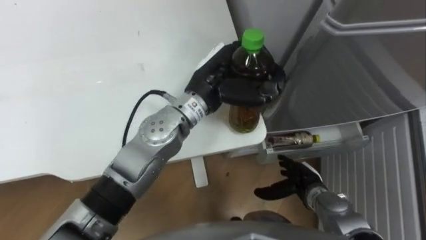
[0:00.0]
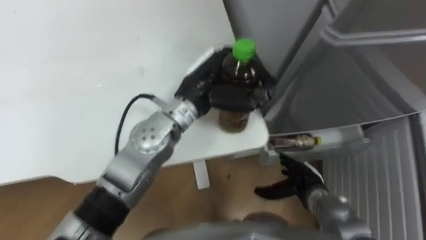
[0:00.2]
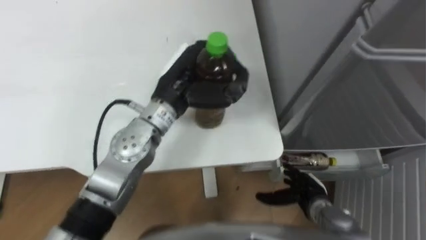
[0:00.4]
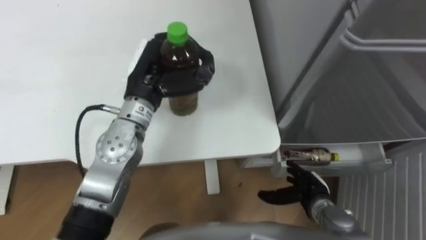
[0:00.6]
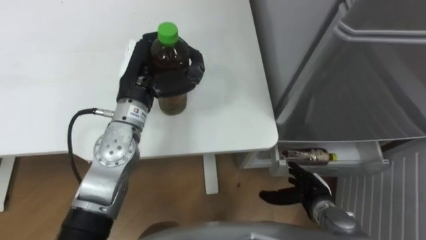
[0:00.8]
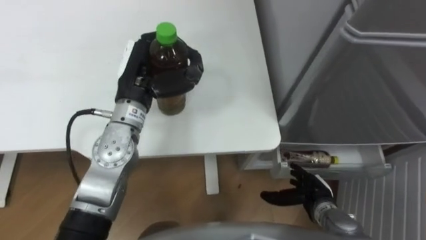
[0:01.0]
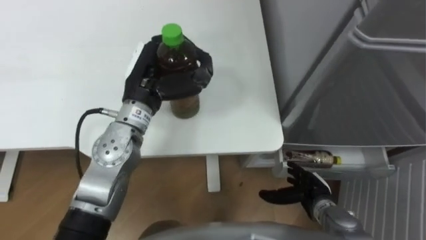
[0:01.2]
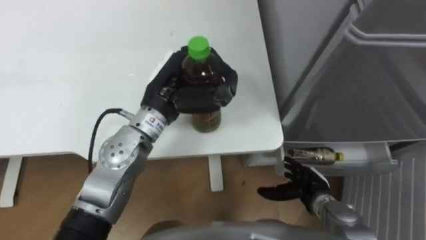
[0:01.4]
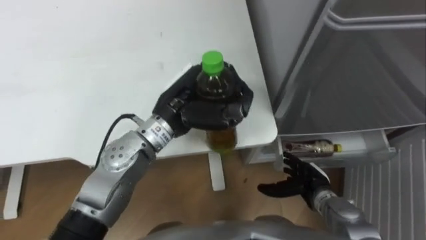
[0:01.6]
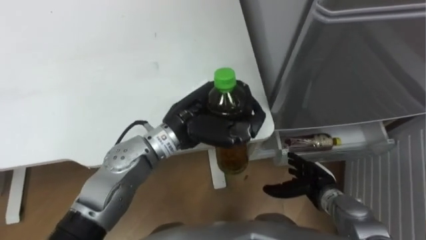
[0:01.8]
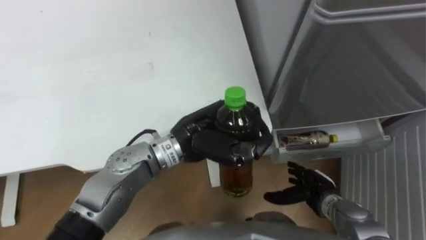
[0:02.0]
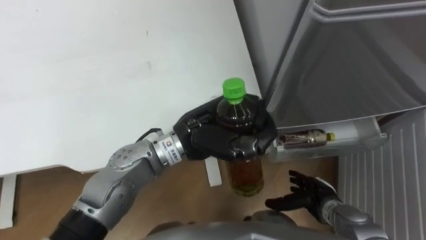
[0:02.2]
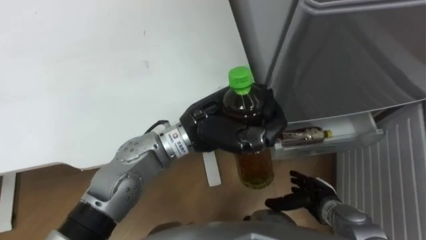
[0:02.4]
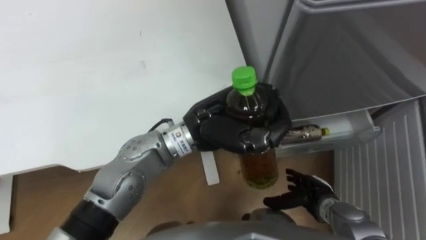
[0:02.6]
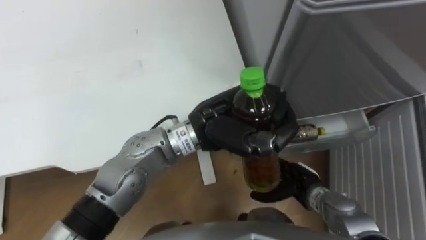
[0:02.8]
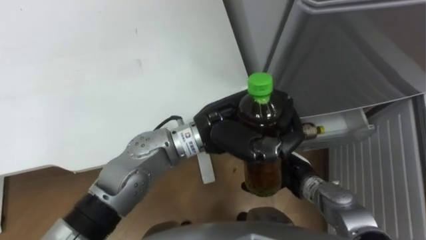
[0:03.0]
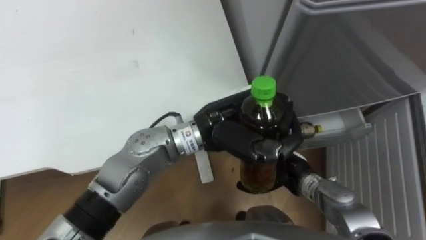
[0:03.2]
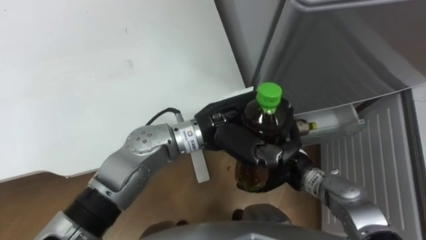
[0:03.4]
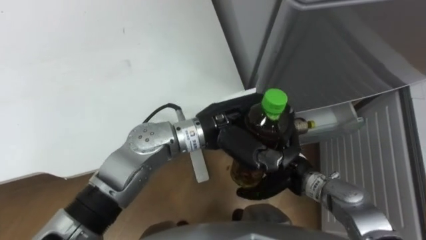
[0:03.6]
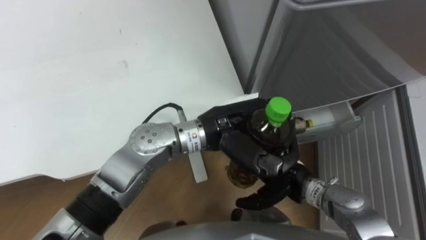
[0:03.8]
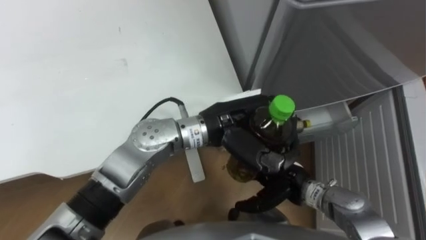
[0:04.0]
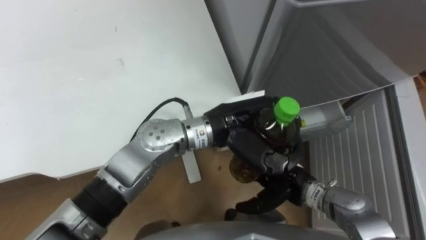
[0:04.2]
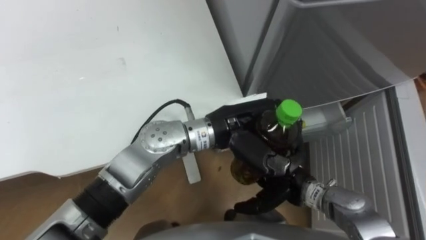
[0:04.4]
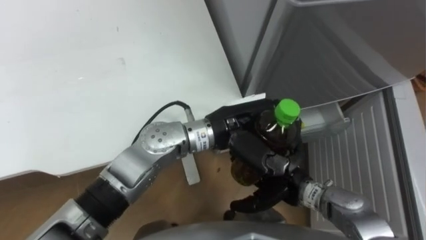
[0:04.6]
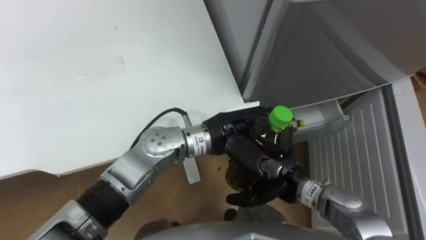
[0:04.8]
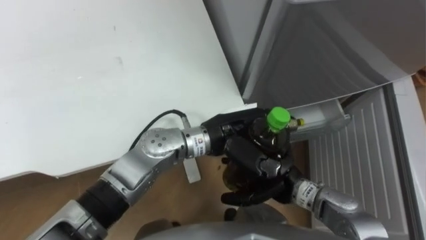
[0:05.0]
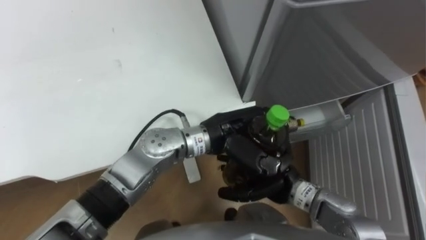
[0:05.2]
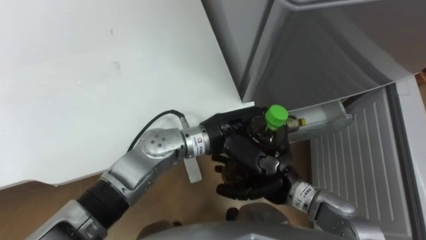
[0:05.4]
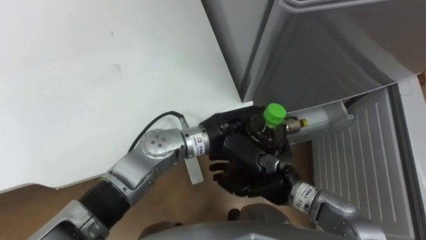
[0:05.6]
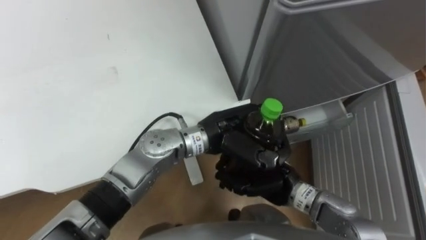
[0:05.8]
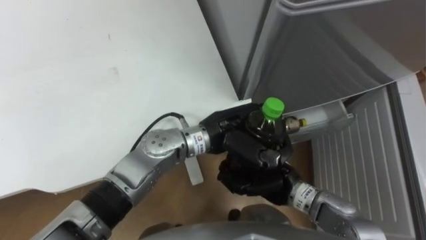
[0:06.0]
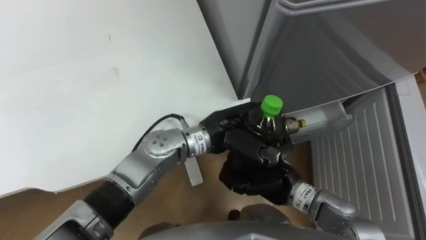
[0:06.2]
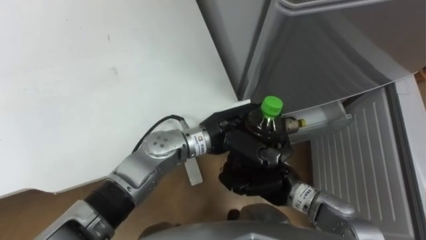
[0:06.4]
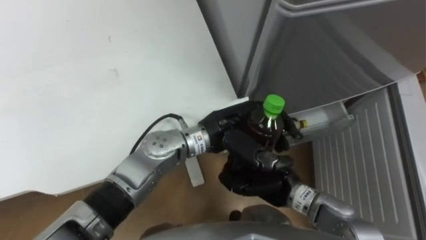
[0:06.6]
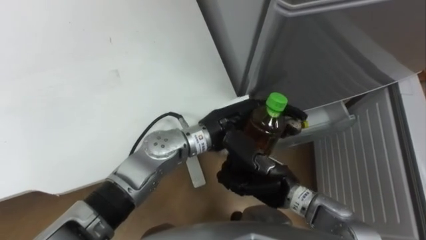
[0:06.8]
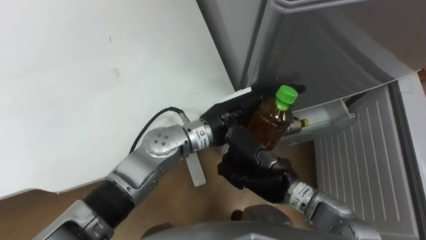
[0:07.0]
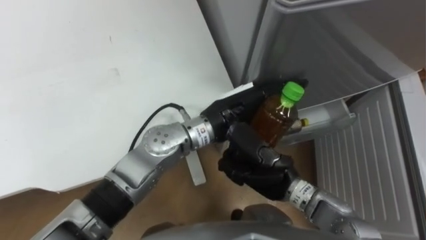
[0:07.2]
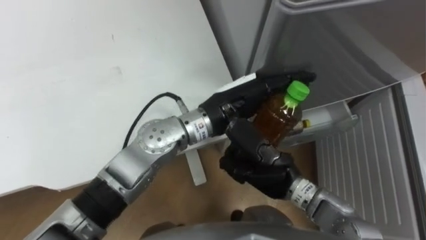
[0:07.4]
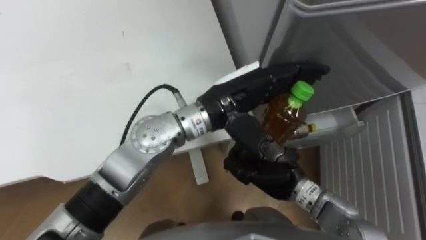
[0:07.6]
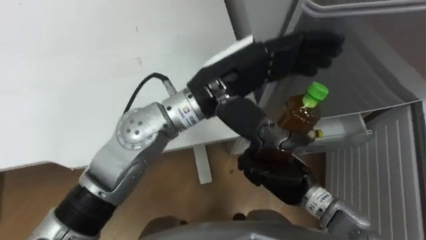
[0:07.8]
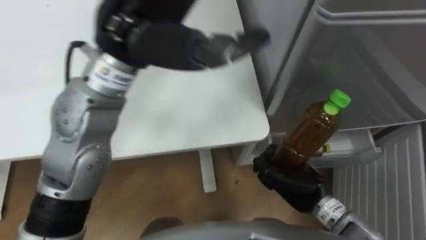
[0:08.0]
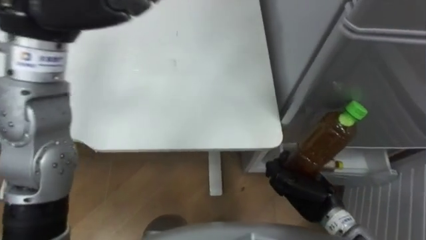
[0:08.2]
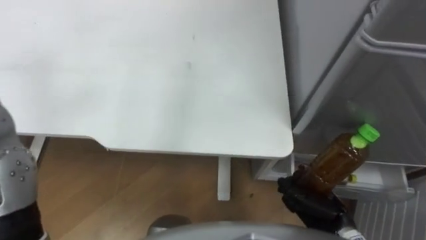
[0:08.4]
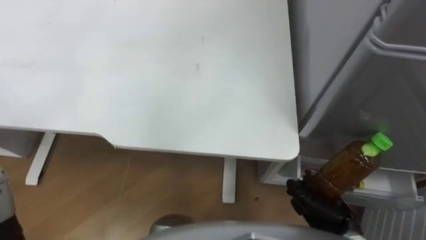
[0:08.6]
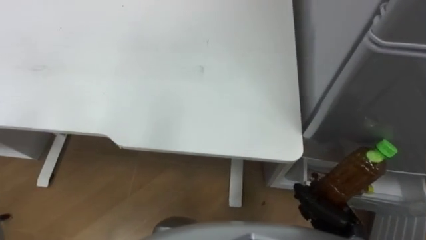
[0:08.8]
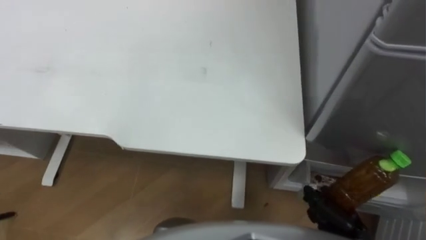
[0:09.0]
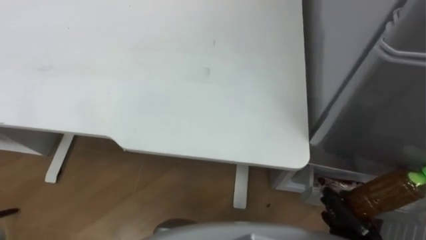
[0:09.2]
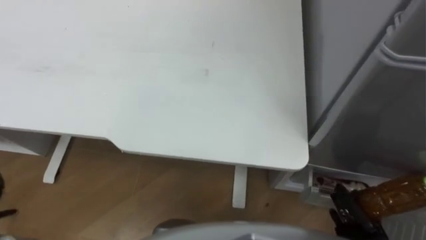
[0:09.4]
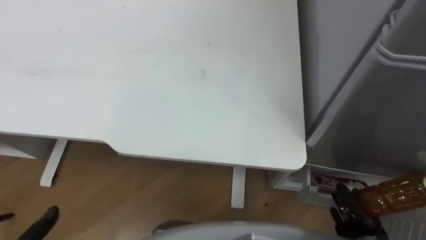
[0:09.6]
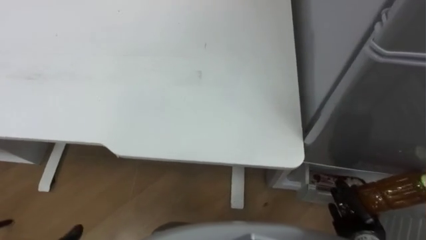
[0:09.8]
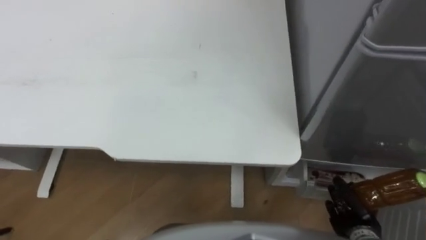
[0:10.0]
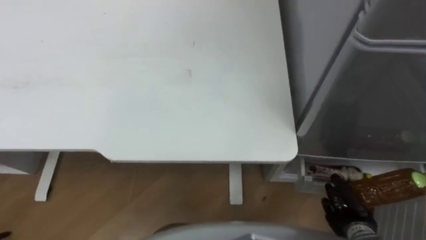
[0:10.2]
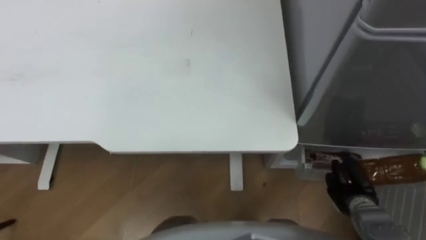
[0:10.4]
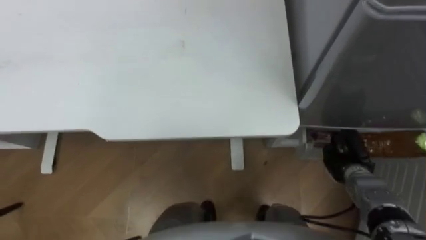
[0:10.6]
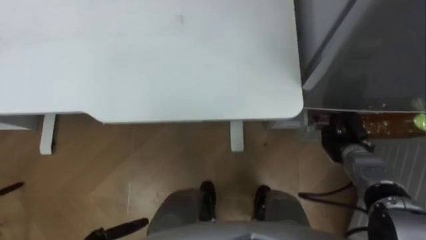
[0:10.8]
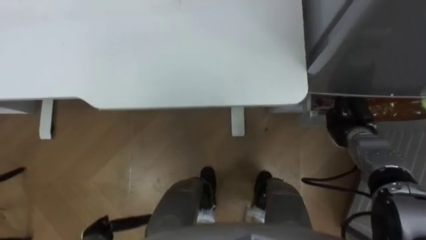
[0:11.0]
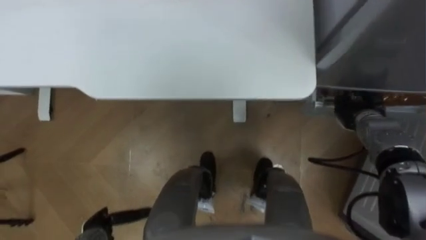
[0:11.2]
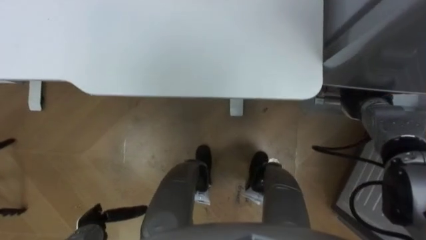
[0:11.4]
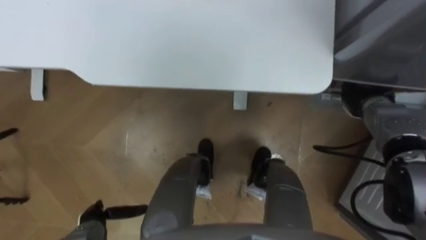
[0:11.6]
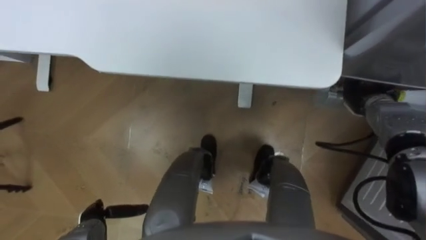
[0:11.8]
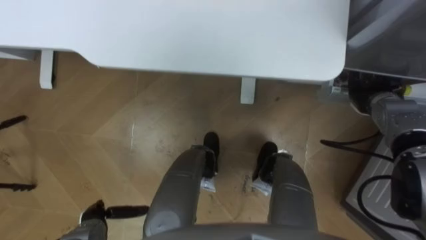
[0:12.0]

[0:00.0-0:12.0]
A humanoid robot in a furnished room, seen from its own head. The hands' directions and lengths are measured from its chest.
Task of the whole recording: Place the drink on the table on the bottom shelf of the refrigerator, then close the drawer and the refrigerator door.
0:00.0 to 0:01.6: The left hand moves to the left, approximately 5 cm.
0:01.6 to 0:03.0: The right hand moves roughly 5 cm, while the left hand goes roughly 5 cm to the right.
0:04.4 to 0:06.0: The right hand closes up.
0:06.0 to 0:07.6: The left hand goes roughly 10 cm upward, and opens its fingers.
0:07.6 to 0:09.0: The right hand goes some 20 cm to the right, backward and downward.
0:09.0 to 0:10.4: The right hand heads forward, covering about 5 cm.
0:10.4 to 0:12.0: The right hand is displaced forward and upward by some 25 cm.

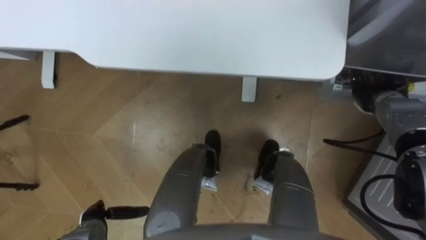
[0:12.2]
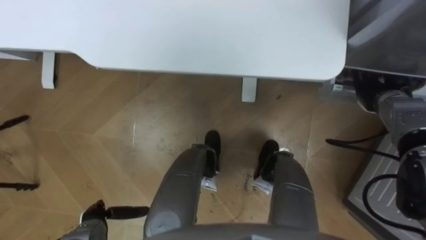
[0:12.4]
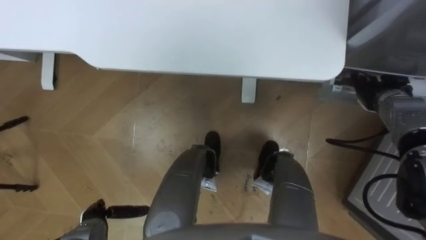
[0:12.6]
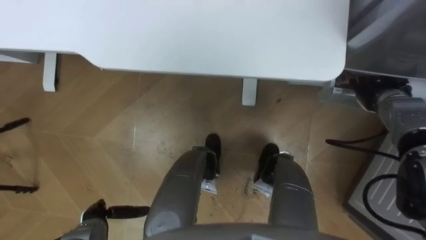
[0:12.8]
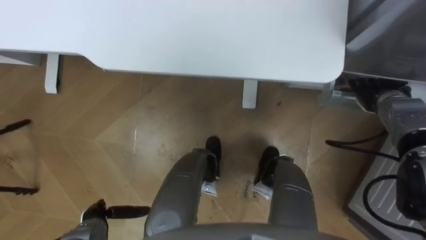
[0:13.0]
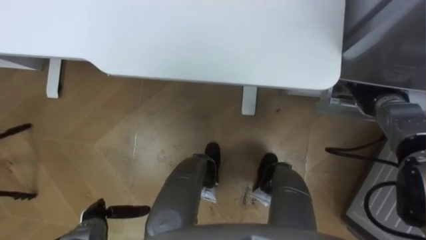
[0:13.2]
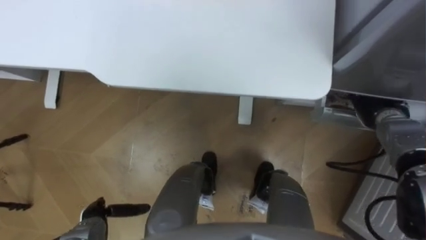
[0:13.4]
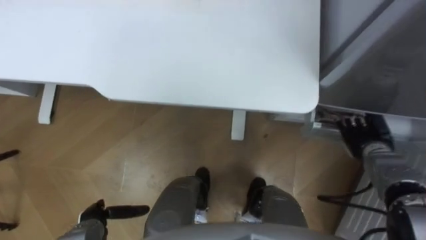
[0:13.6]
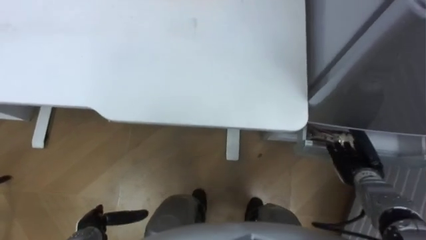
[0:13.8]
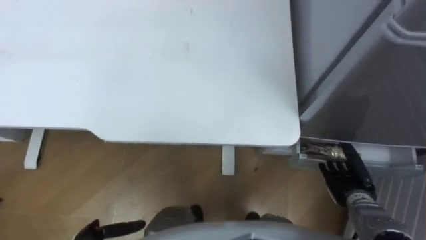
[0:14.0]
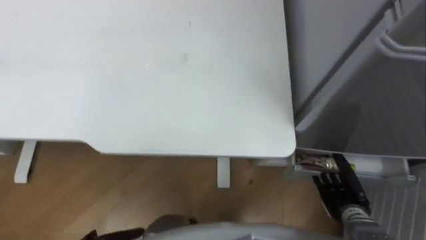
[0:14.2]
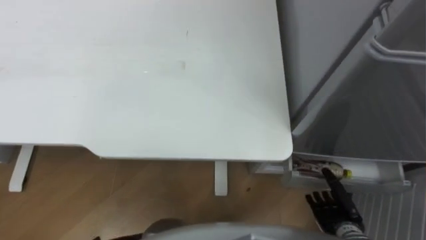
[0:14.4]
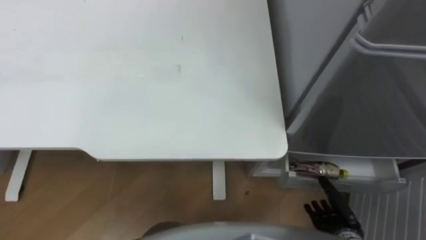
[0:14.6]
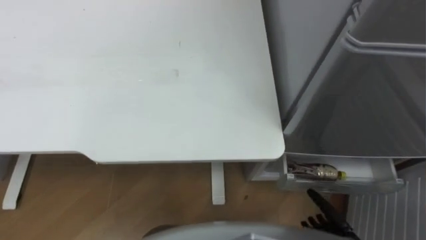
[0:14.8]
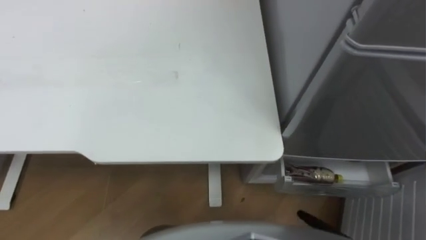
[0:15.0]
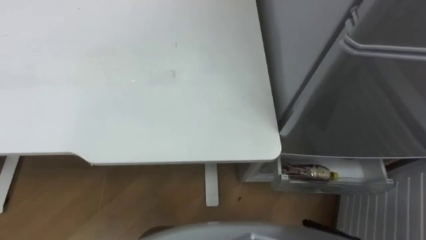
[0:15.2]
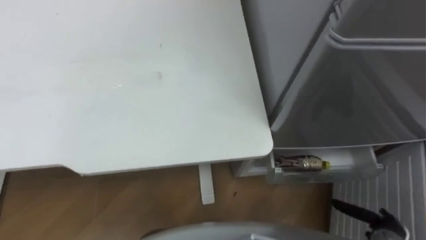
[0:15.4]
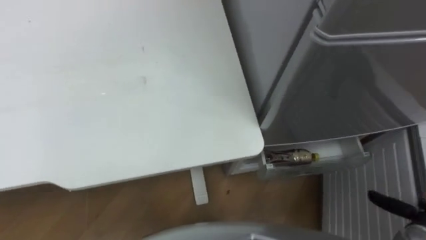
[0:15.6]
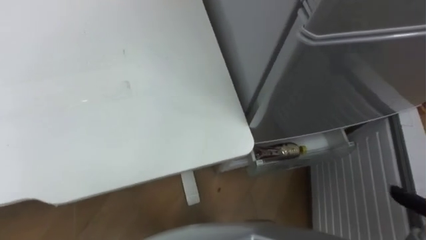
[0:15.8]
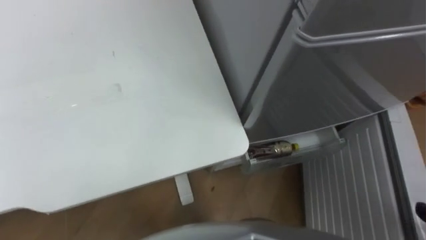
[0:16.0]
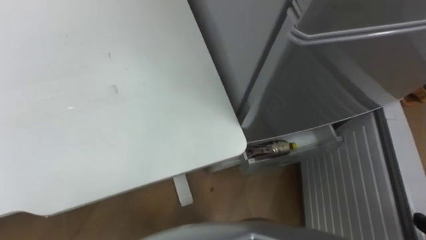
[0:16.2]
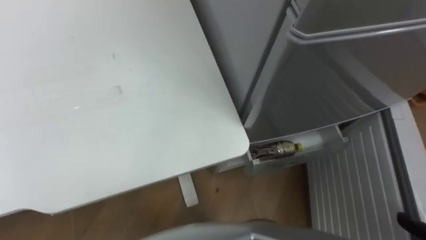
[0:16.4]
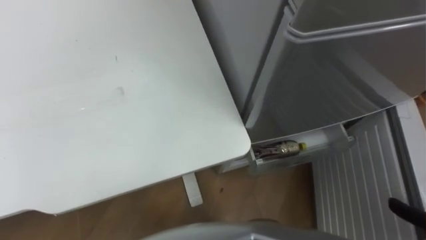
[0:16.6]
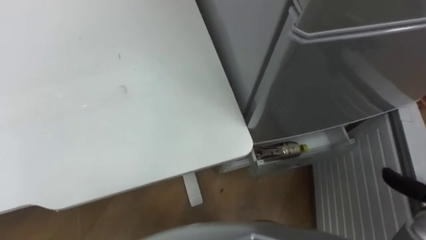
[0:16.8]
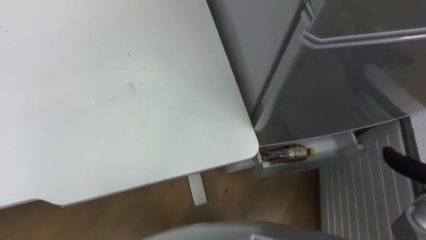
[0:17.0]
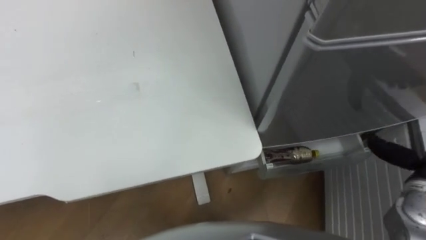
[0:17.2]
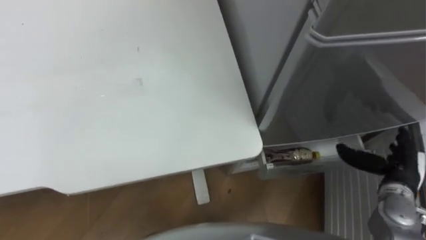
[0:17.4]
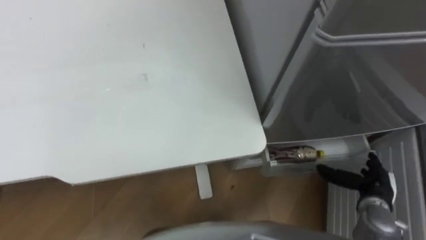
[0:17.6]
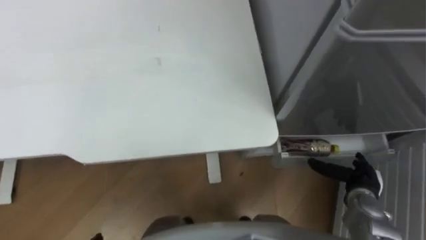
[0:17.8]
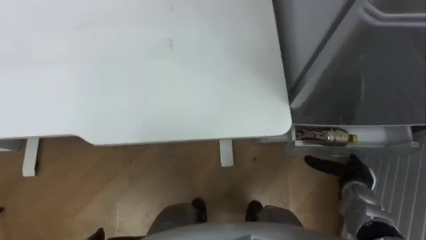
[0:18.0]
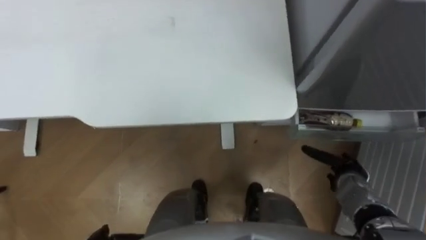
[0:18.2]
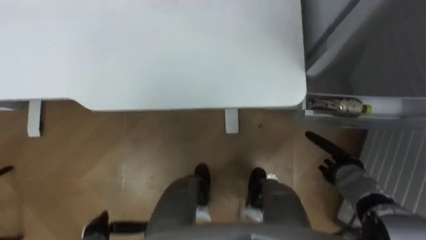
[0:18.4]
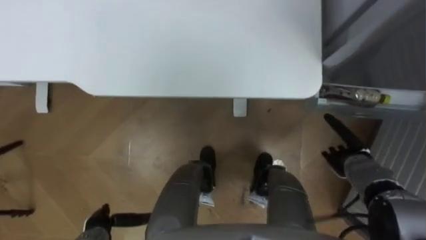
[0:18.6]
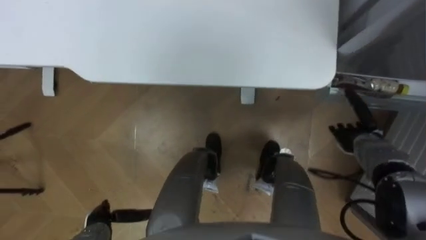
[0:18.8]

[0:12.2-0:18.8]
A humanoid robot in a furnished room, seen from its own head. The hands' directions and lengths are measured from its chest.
Task of the whole recording: Place the drink on the table on the bottom shelf of the refrigerator, then close the drawer and the refrigerator door.
0:12.2 to 0:13.8: The right hand goes some 15 cm backward and downward, and opens.
0:17.2 to 0:18.8: The right hand heads forward, downward and to the left, covering some 15 cm.
